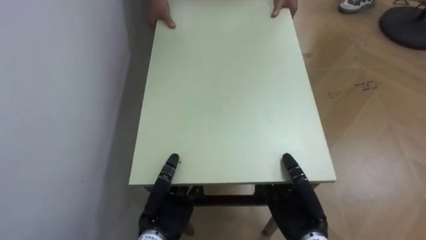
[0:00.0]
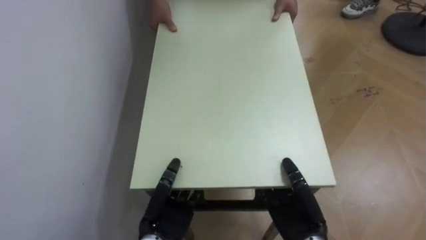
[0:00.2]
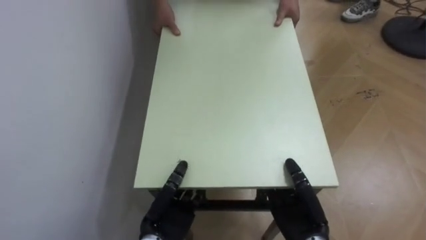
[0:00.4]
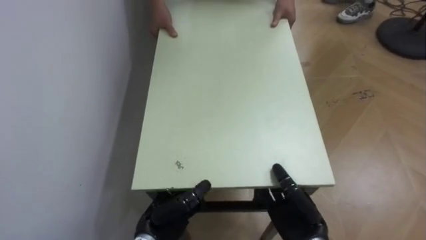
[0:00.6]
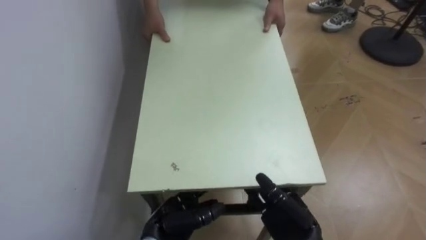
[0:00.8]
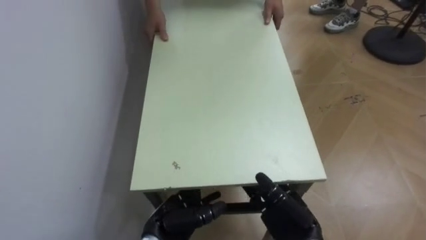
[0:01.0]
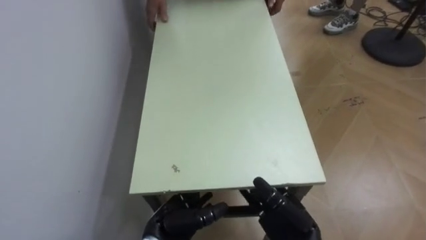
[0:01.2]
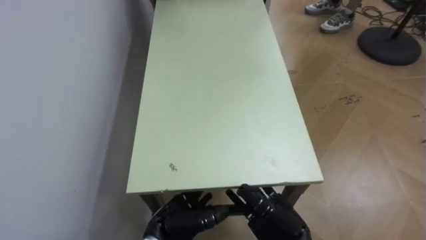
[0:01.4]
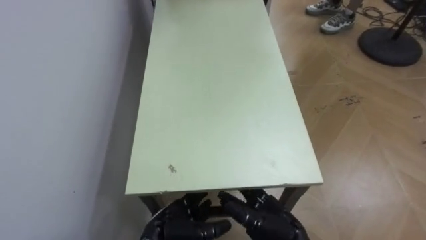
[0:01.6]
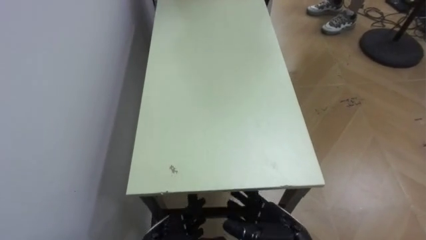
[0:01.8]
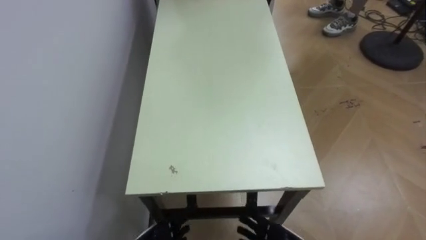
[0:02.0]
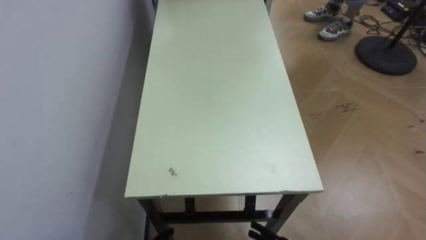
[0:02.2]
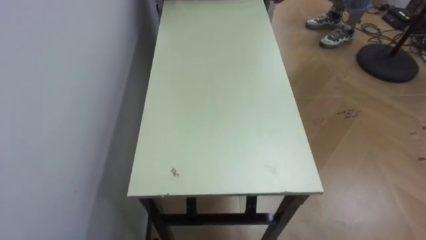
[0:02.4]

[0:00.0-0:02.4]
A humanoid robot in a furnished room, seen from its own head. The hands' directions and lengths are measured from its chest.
Task of the whole recording: Move the table to the back left with someone.
0:00.0 to 0:01.2: The right hand opens up. The left hand opens its fingers.

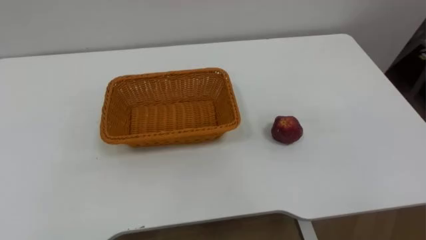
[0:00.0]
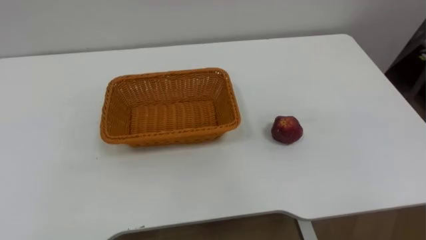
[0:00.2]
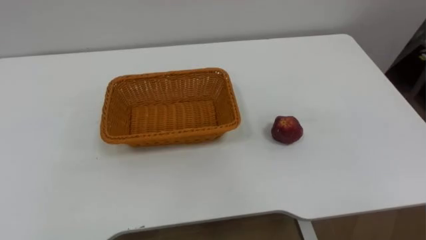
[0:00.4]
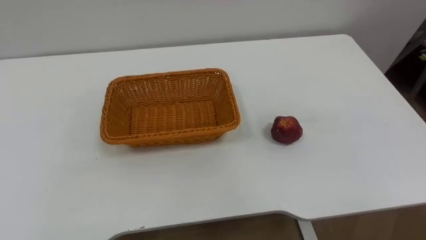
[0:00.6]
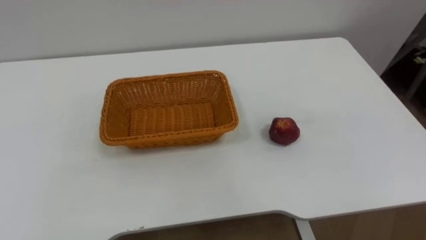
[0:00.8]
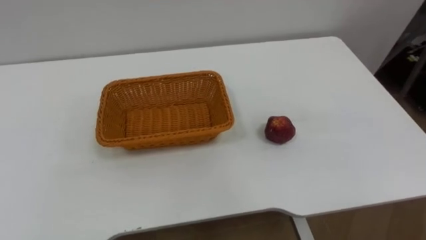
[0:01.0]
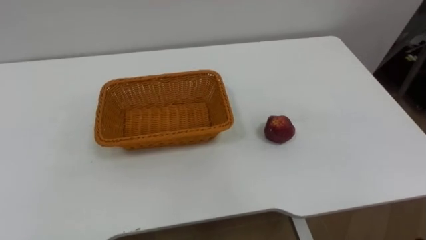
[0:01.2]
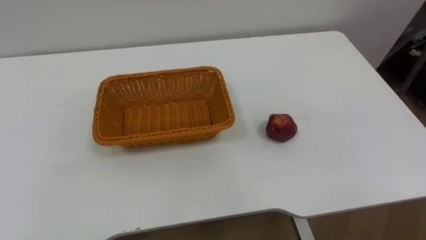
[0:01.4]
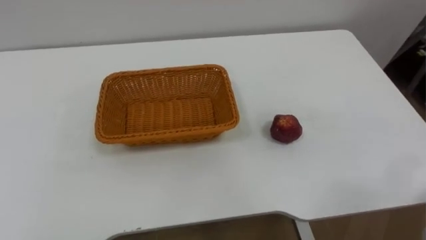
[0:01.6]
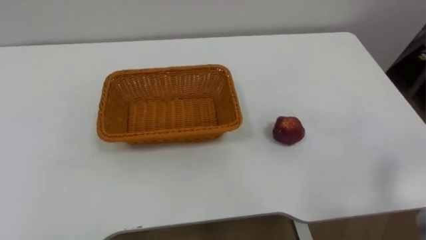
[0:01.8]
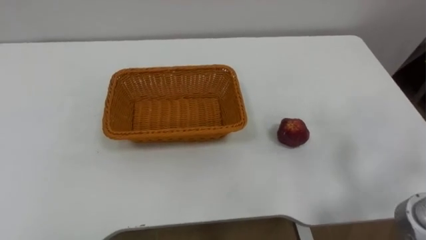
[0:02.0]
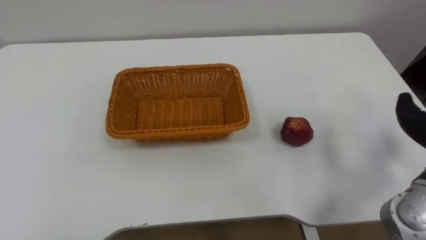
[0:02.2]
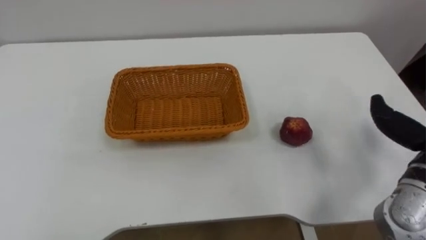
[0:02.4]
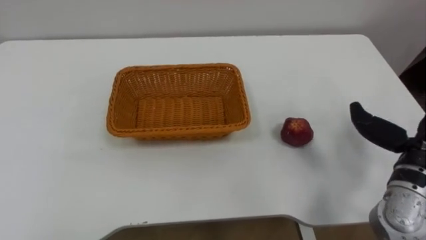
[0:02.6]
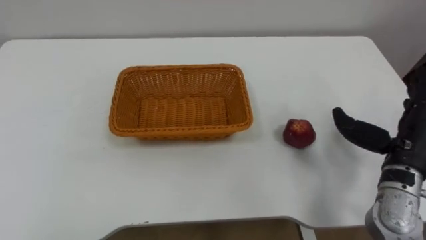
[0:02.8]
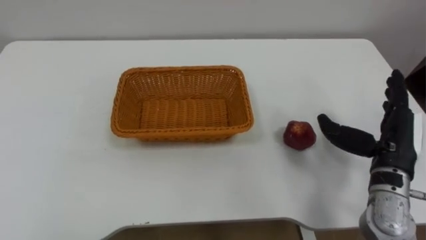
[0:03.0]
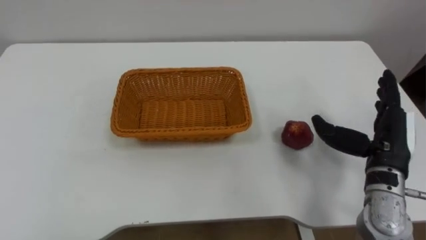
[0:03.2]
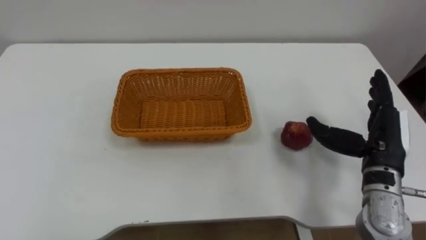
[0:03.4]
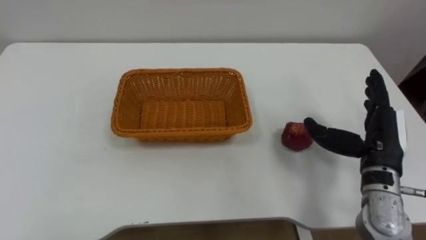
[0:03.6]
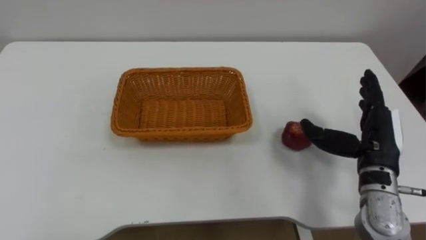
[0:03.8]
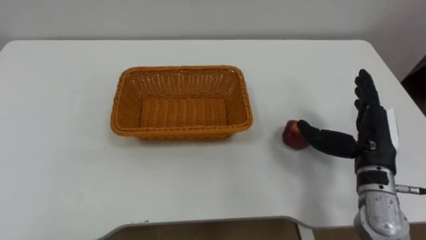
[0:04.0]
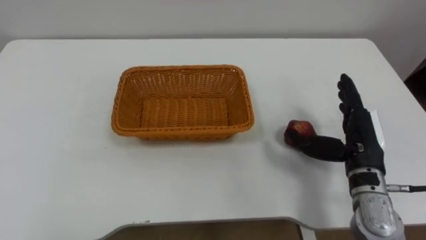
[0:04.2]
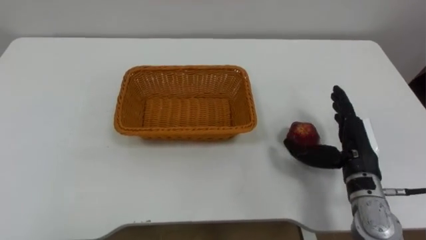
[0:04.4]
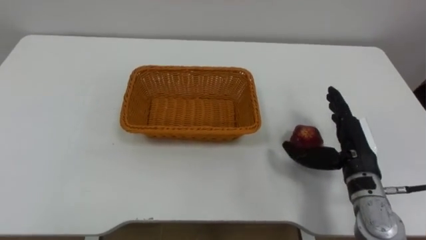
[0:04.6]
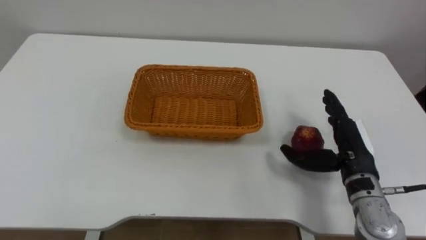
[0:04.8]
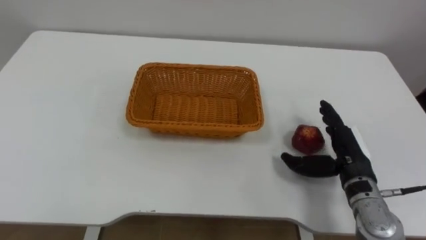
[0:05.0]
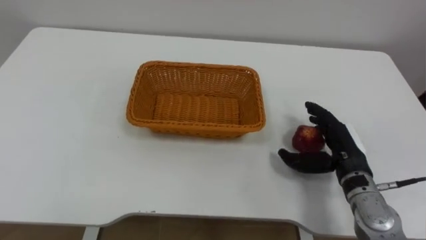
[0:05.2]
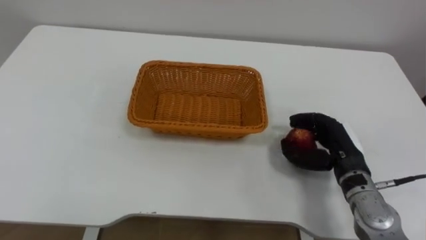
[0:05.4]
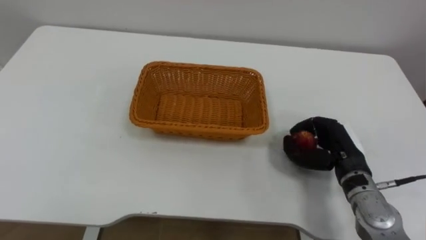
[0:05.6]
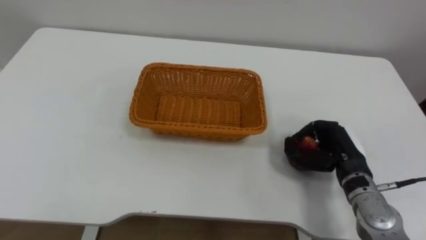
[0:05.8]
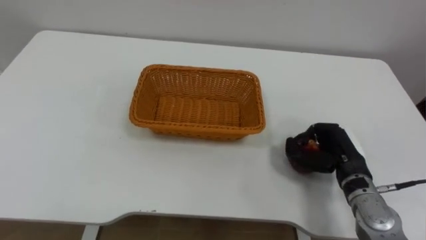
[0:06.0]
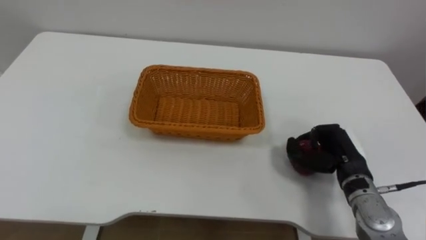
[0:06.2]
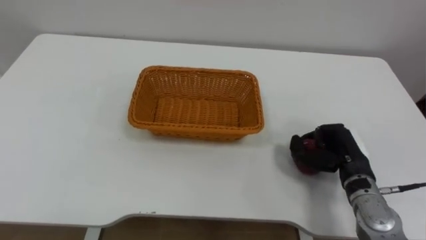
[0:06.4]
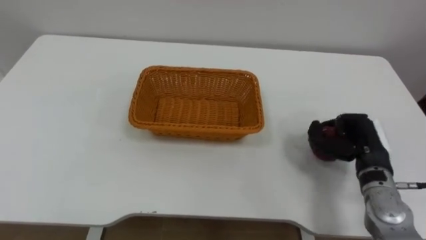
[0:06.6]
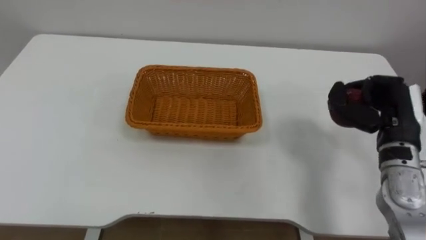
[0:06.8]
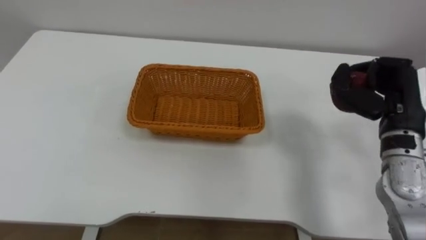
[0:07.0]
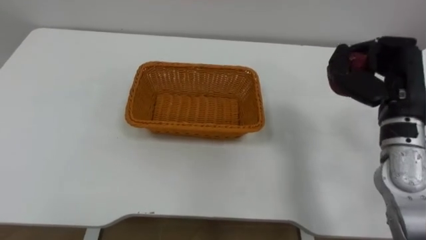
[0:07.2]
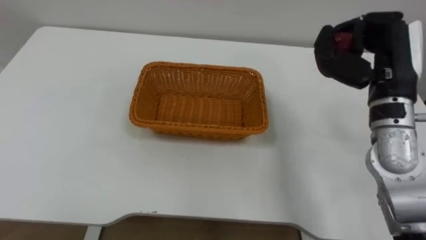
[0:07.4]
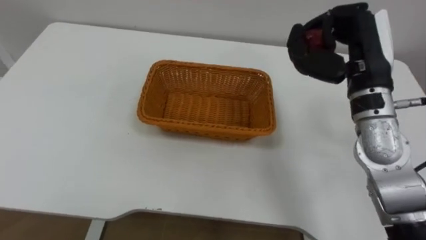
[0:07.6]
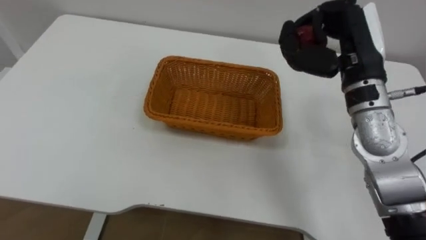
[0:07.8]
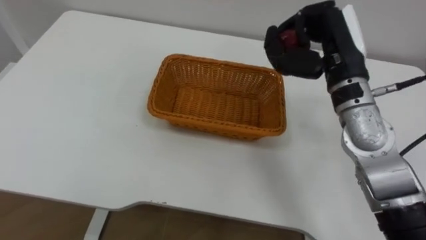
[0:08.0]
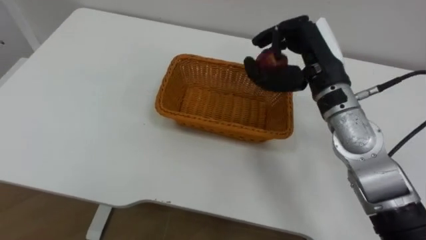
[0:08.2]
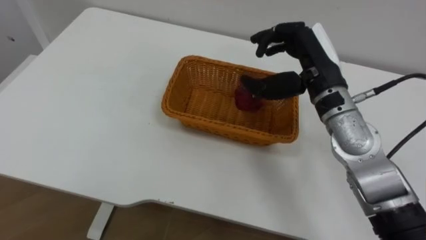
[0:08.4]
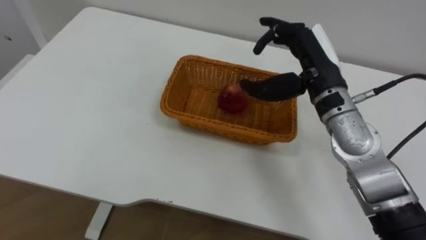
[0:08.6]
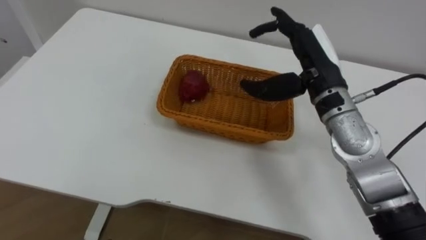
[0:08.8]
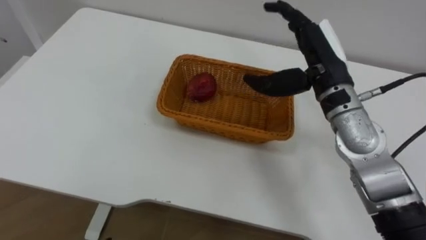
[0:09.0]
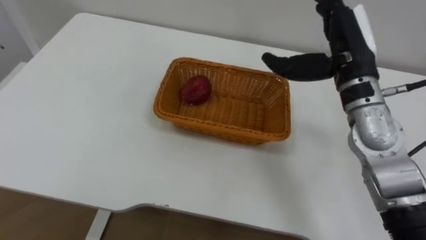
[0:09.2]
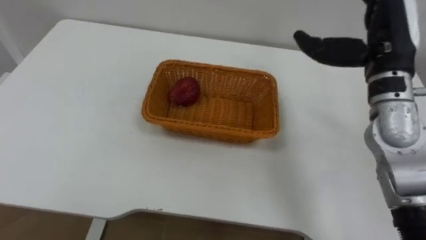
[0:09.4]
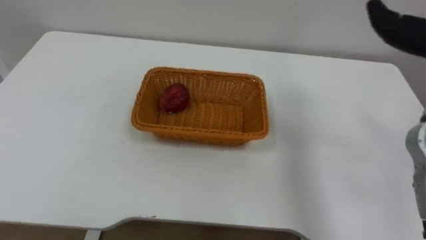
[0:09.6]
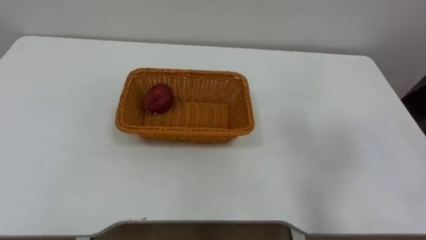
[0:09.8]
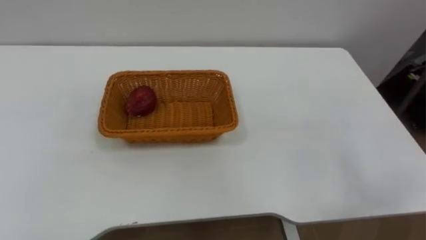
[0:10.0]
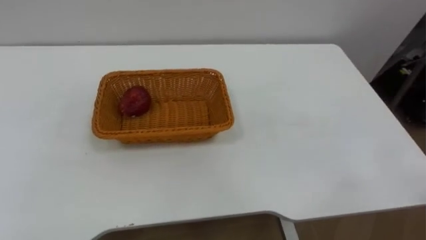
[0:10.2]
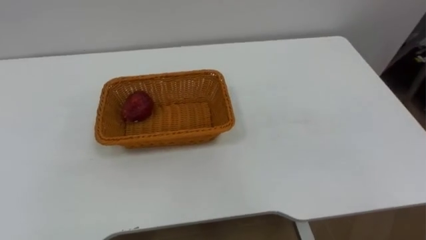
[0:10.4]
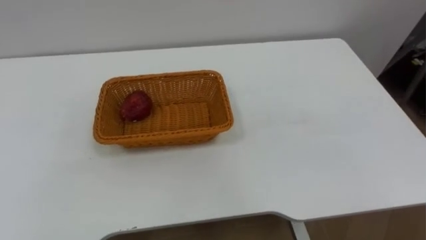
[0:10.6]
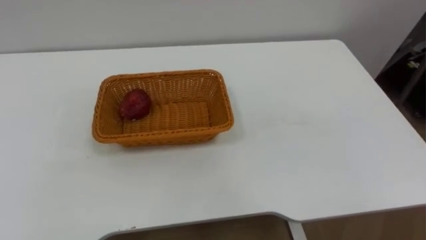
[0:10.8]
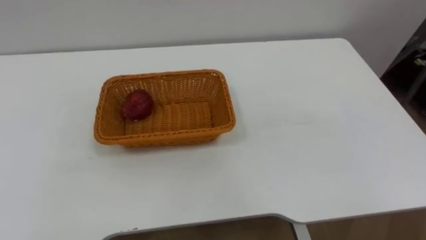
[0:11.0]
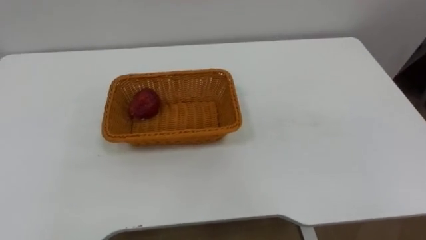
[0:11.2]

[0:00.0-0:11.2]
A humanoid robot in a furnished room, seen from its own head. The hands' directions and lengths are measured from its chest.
Task of the whole recording: Pick the apple and place it in the box.
0:03.2 to 0:04.8: The right hand changes place by about 5 cm.
0:04.8 to 0:06.4: The right hand closes.
0:06.4 to 0:08.0: The right hand shifts approximately 20 cm upward and forward.

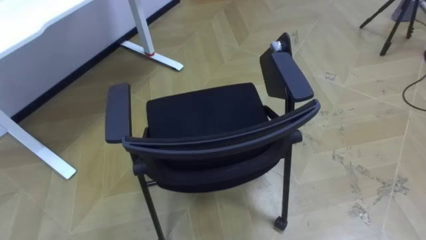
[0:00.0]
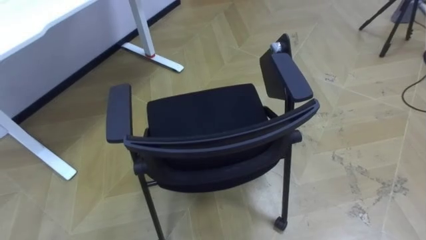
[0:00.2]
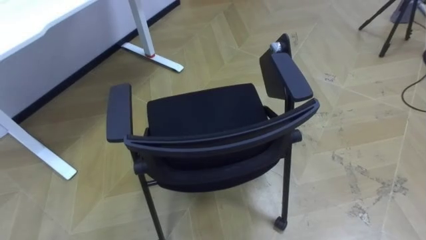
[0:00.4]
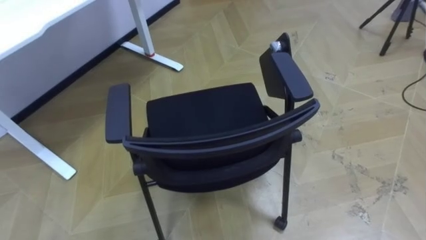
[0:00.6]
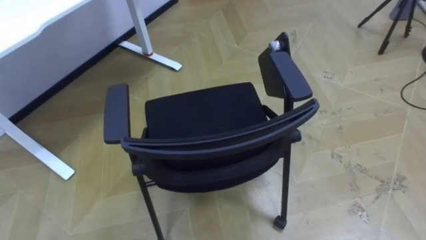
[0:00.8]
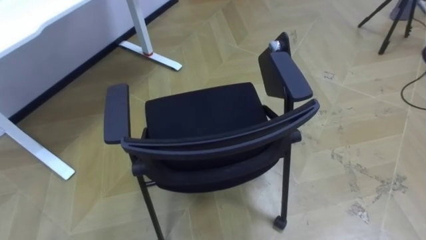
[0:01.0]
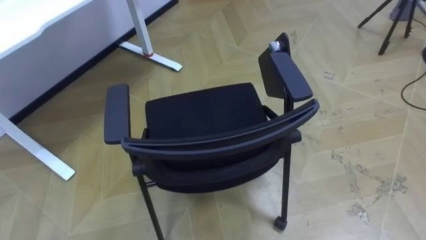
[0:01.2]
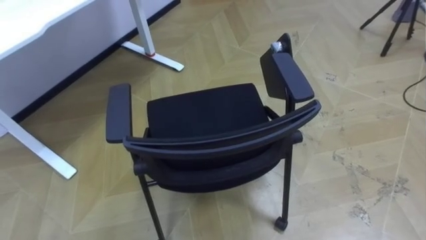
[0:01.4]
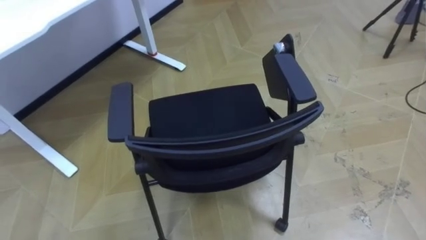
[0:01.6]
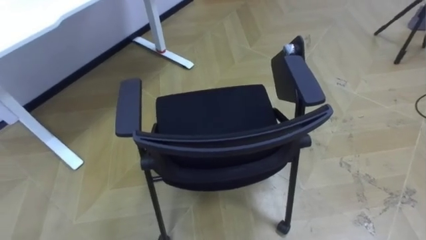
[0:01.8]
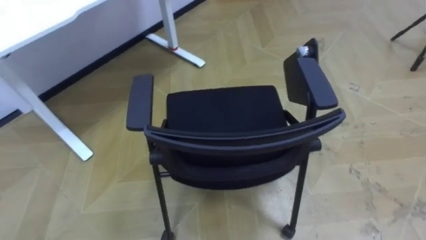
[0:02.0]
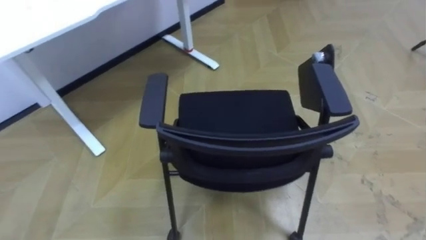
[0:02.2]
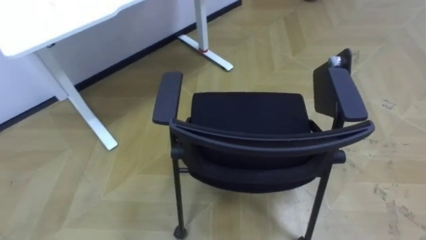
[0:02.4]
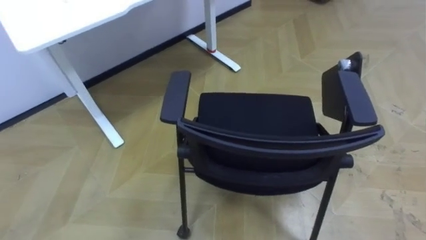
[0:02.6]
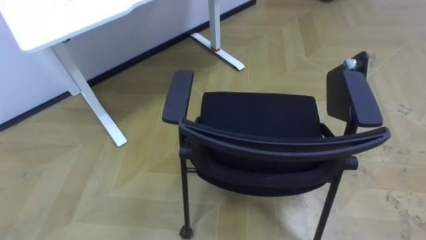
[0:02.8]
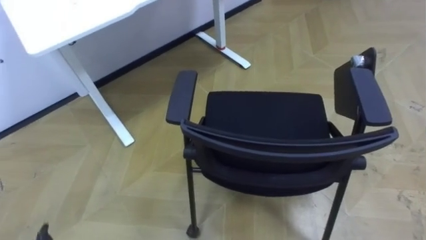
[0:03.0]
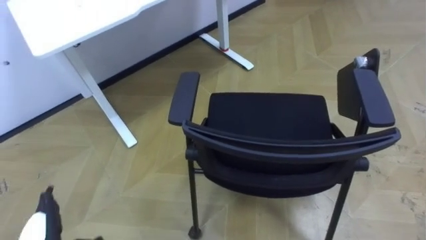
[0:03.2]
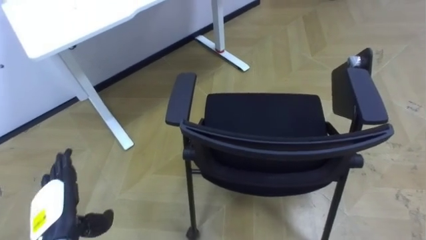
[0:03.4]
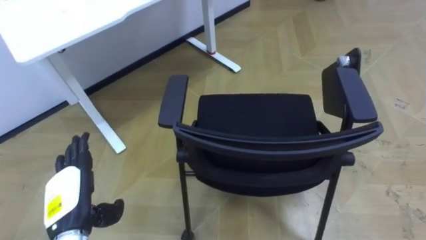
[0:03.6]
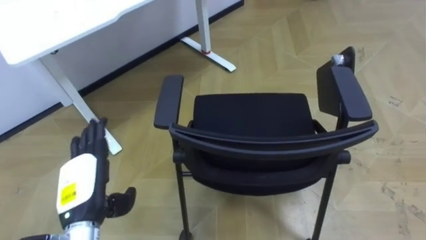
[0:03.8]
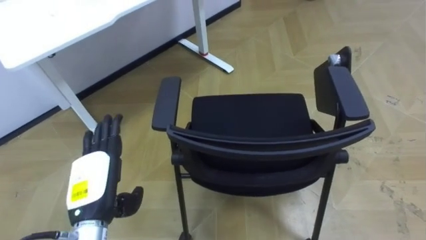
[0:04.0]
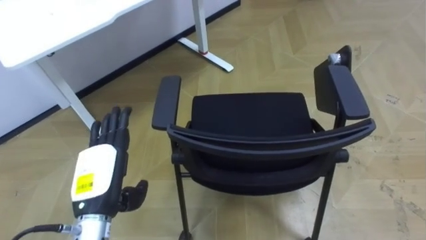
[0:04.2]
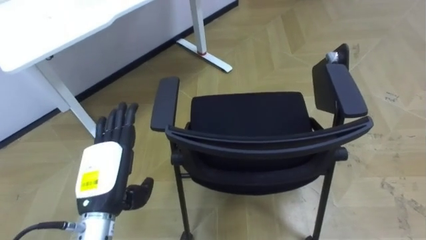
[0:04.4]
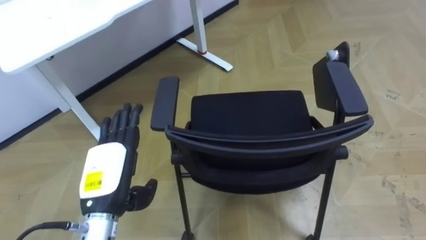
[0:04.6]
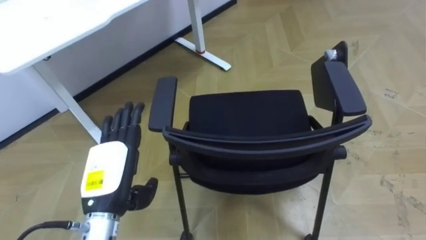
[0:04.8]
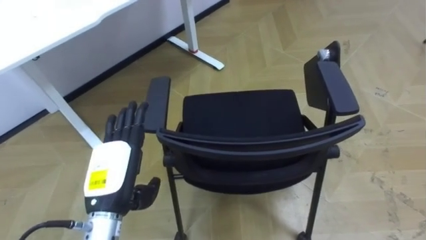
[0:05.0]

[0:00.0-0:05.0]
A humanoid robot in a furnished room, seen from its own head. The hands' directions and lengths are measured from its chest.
Task of the whole recording: Push the chair under the table.
0:03.4 to 0:05.0: The left hand is displaced to the right and upward by about 15 cm.
